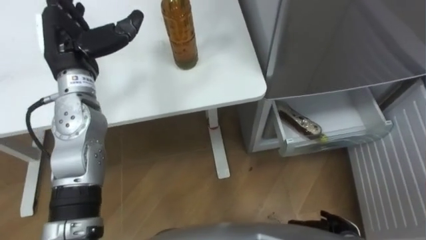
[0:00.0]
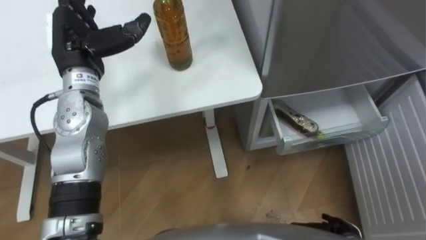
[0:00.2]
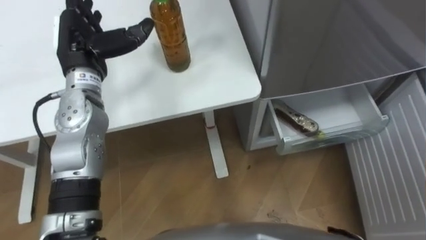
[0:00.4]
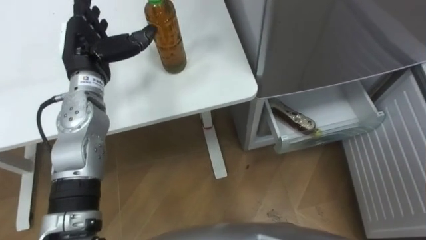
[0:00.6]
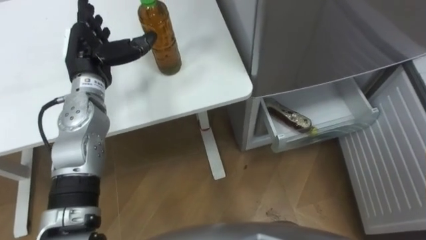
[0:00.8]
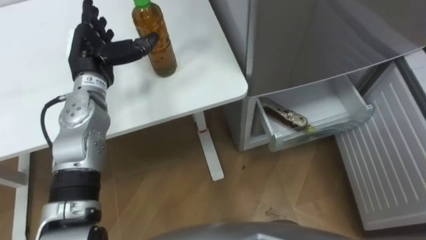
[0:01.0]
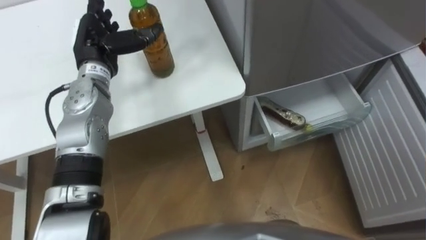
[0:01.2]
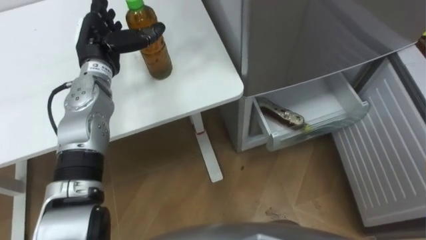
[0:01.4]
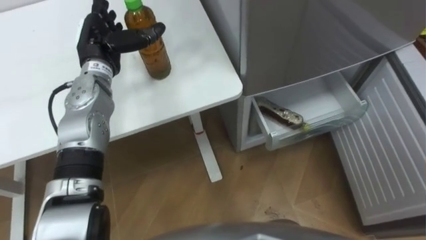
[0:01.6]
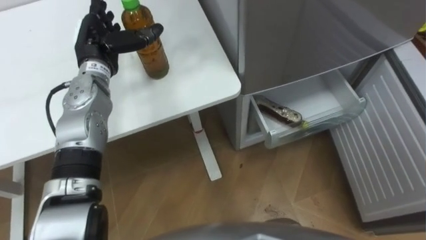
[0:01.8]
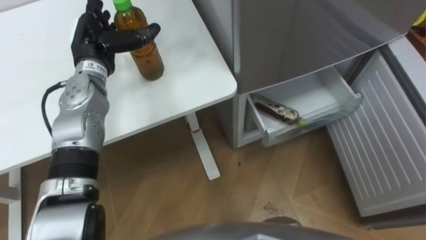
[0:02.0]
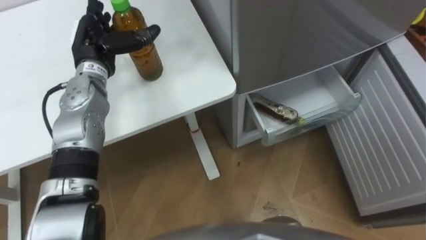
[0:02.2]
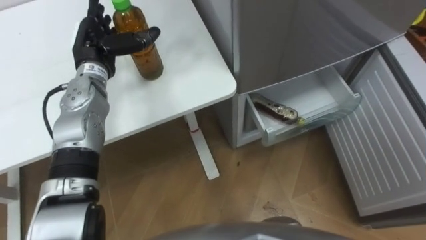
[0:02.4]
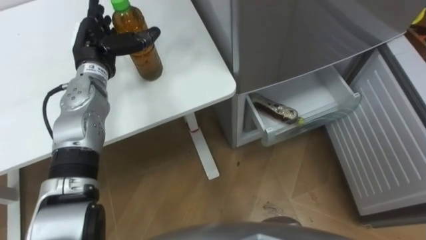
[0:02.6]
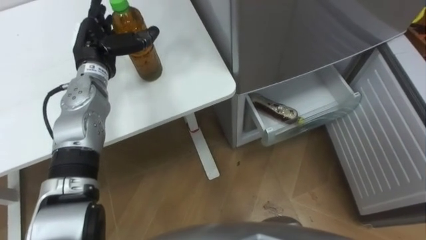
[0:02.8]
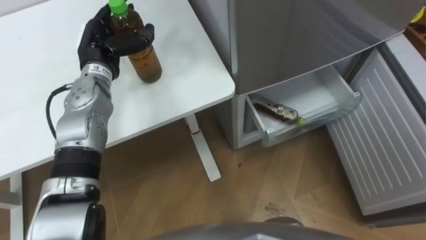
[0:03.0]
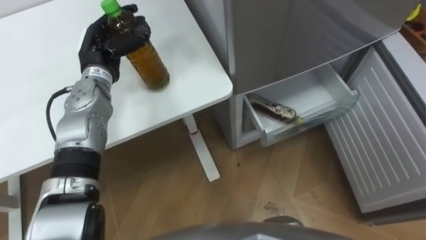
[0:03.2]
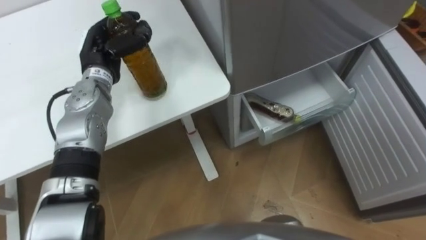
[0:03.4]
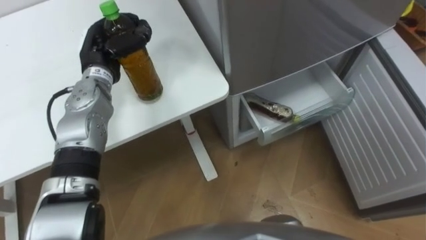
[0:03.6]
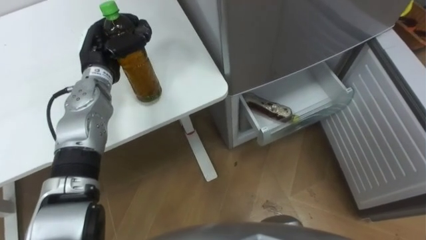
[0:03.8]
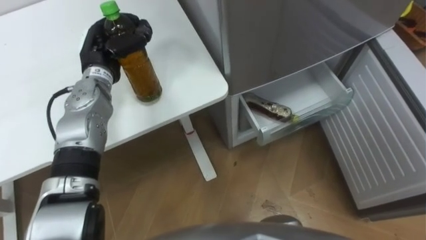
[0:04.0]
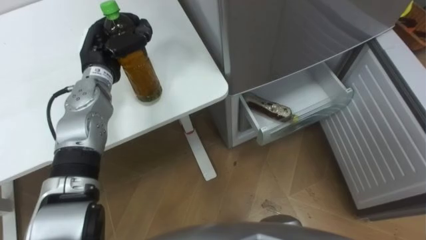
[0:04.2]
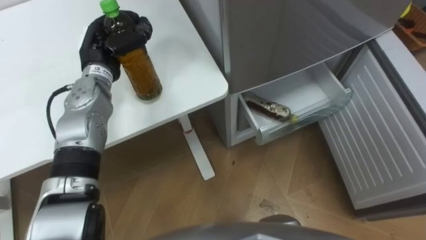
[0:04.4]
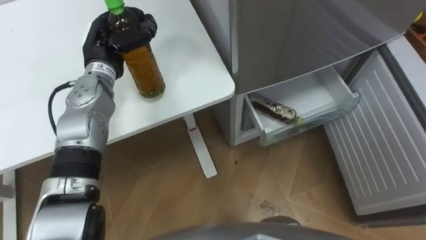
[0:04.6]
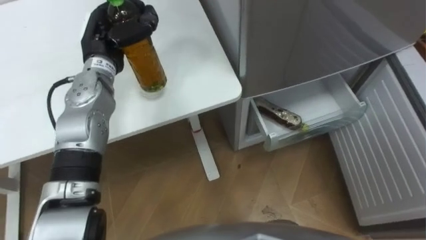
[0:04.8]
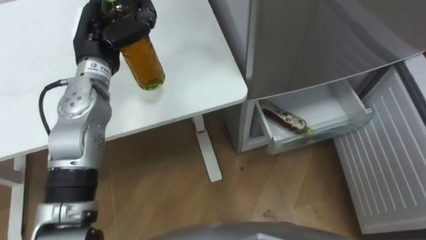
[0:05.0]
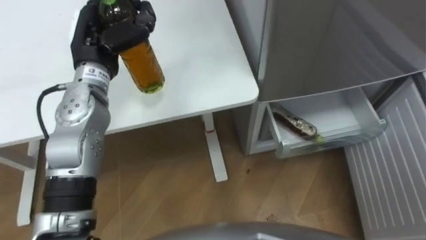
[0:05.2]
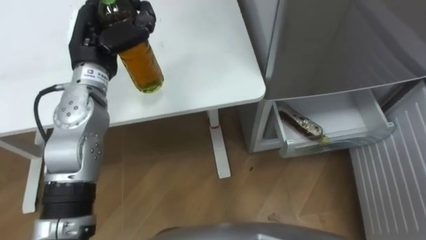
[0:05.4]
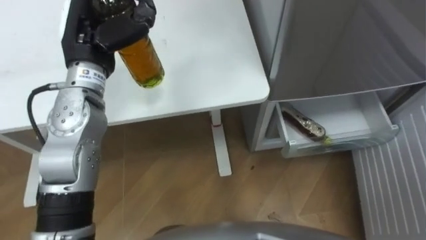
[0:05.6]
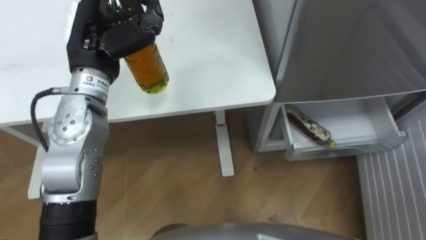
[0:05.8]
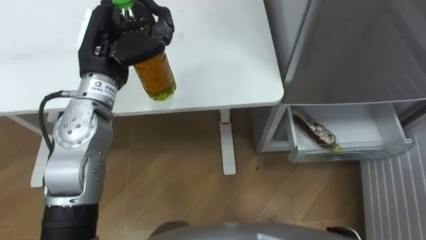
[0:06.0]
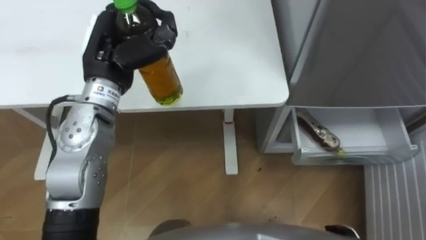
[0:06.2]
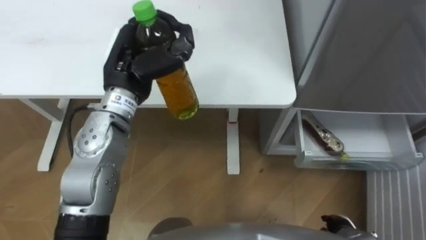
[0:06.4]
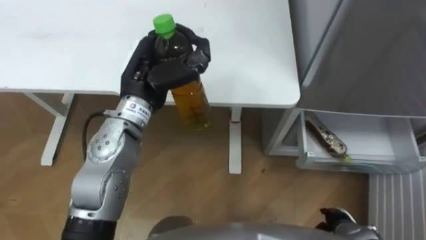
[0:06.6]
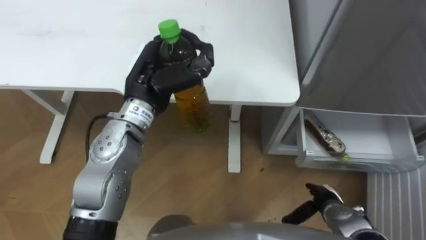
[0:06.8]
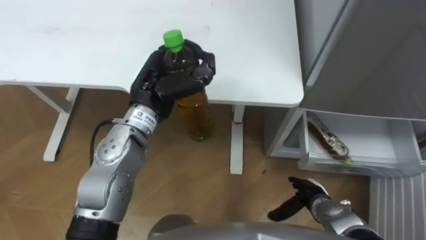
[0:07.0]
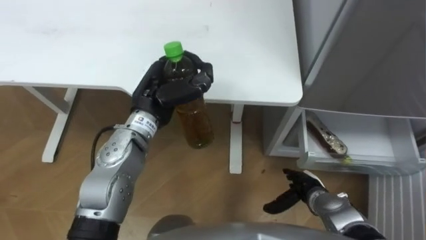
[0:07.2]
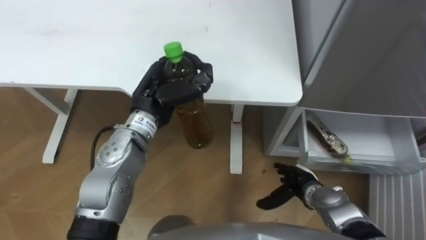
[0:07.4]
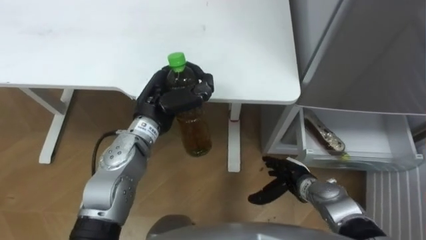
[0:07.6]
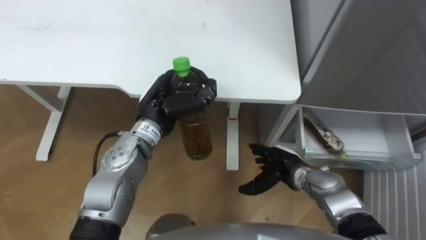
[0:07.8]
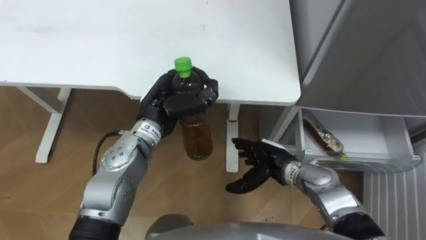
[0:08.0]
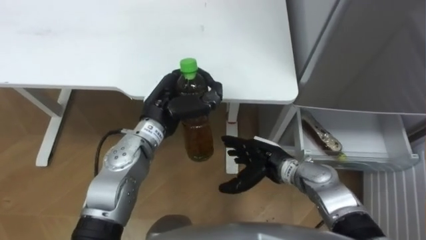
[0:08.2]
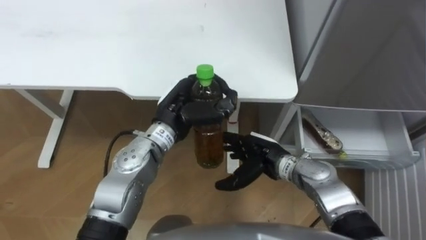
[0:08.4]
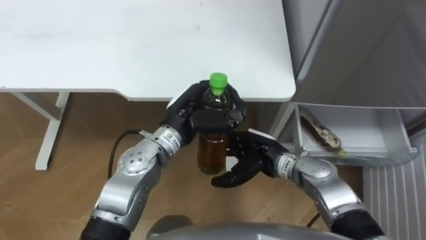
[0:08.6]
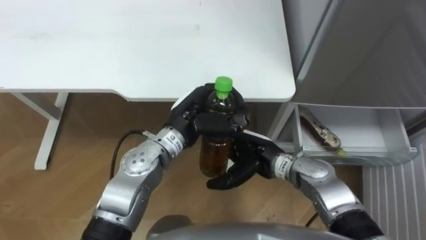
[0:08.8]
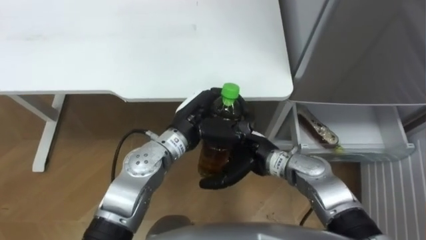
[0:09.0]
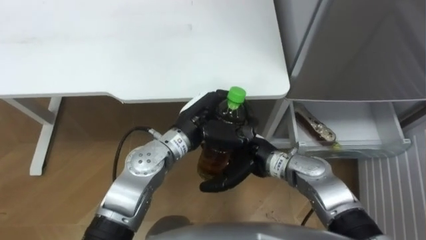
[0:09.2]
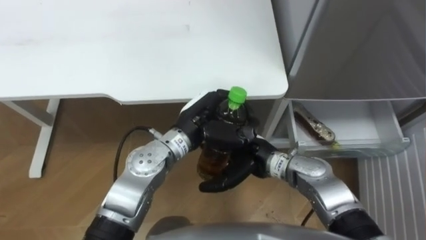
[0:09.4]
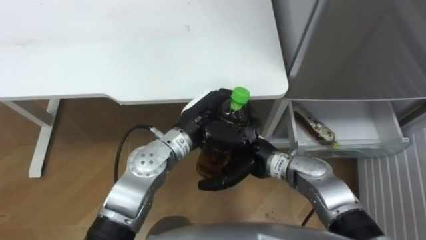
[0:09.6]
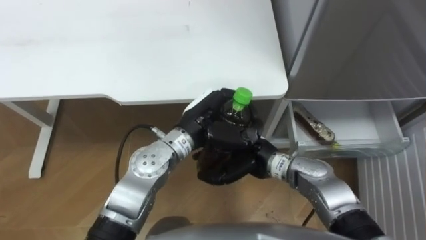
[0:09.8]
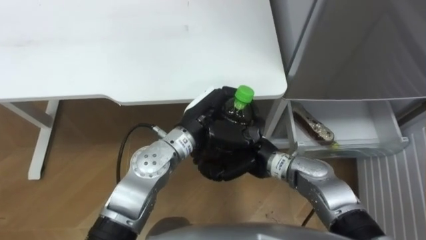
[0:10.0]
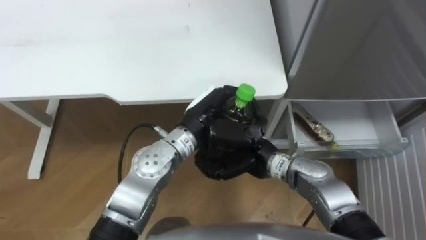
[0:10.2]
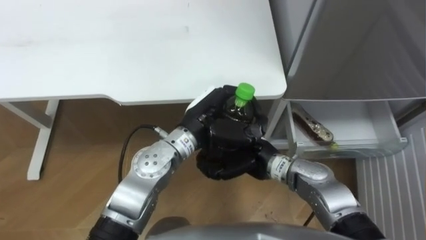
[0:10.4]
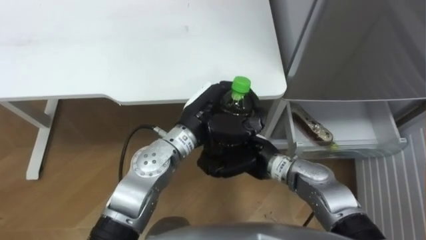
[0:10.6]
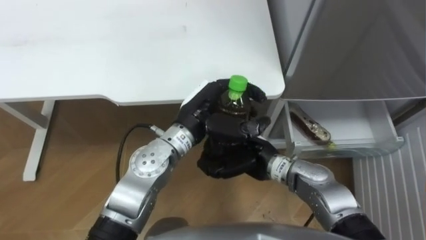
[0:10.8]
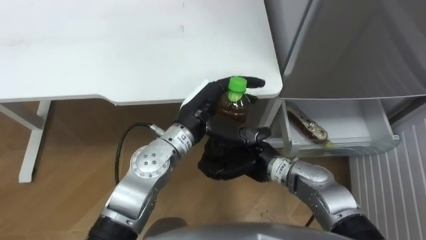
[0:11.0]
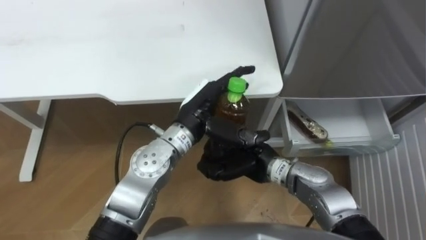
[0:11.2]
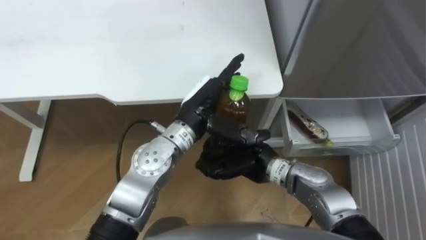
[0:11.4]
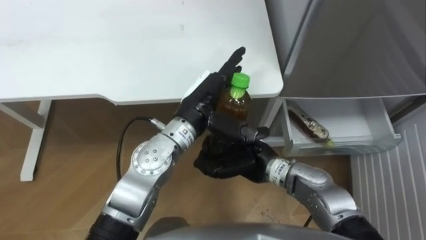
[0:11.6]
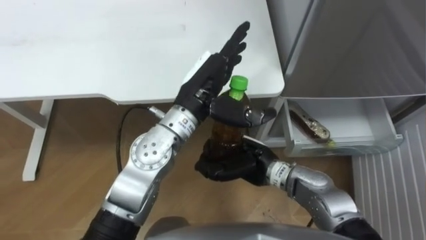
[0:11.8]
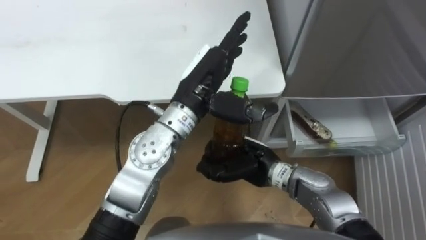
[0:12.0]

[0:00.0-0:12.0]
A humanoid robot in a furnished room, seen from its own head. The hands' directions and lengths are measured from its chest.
Task of the whole recording: Place the drink on the table on the bottom shelf of the refrigerator, then close the drawer and the refrigerator door.
0.0 to 1.6 s: The left hand moves roughly 5 cm.
3.0 to 4.4 s: The left hand closes its fingers.
4.4 to 6.0 s: The left hand moves upward and backward, some 10 cm.
6.0 to 7.6 s: The left hand travels downward and to the right by some 10 cm.
7.6 to 9.0 s: The left hand goes about 5 cm to the right; the right hand is displaced to the left and upward by roughly 15 cm.
9.0 to 10.4 s: The right hand closes.
10.4 to 12.0 s: The left hand moves upward, about 5 cm, and opens up.

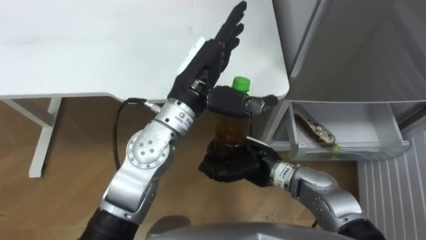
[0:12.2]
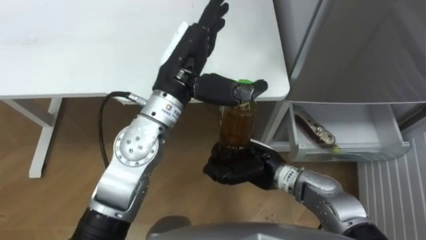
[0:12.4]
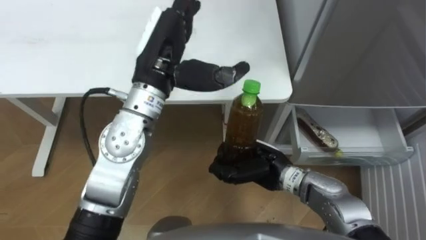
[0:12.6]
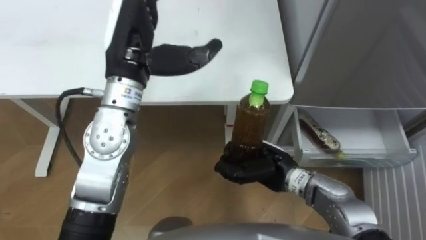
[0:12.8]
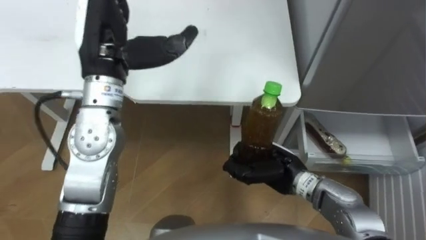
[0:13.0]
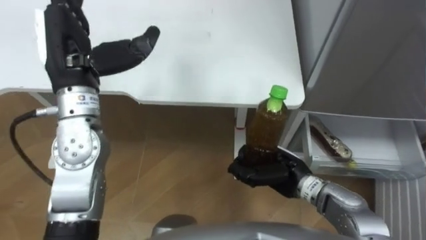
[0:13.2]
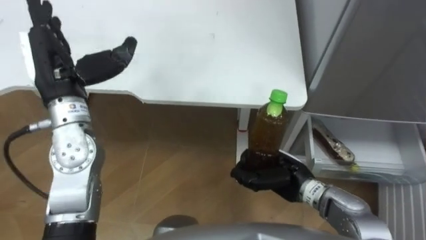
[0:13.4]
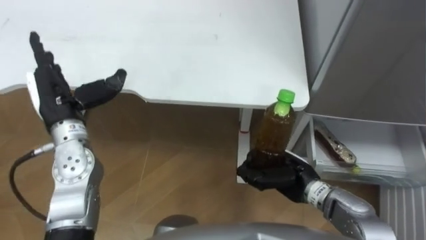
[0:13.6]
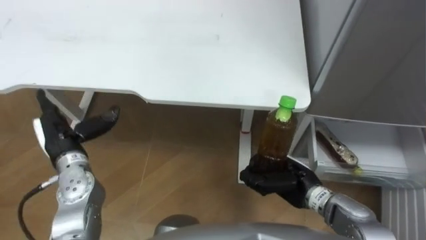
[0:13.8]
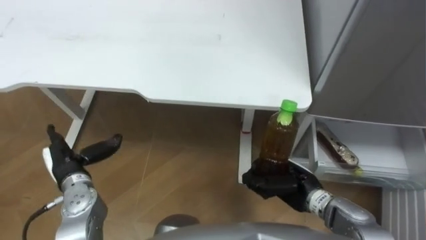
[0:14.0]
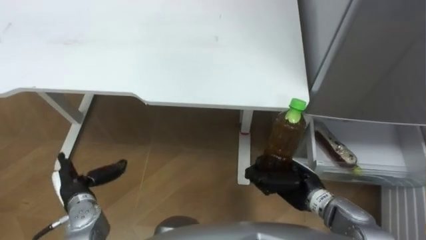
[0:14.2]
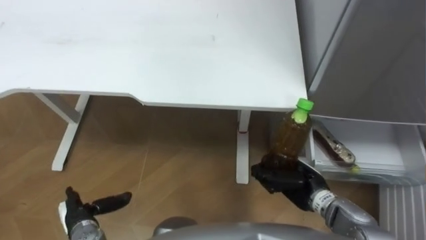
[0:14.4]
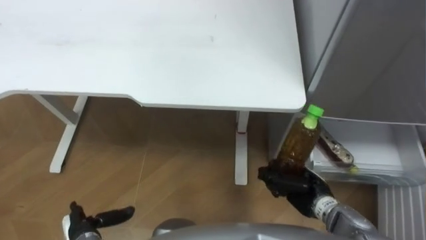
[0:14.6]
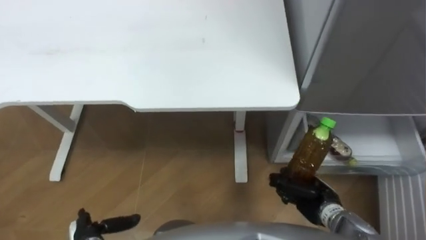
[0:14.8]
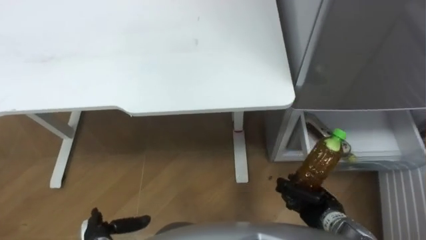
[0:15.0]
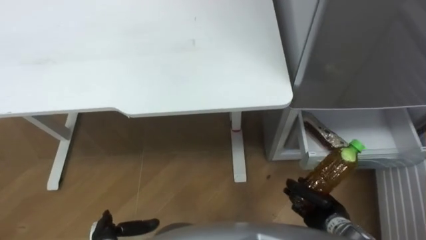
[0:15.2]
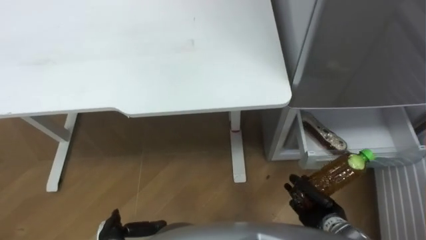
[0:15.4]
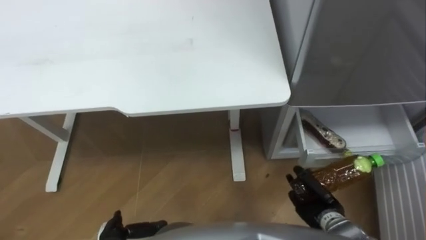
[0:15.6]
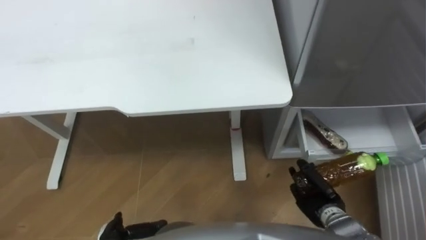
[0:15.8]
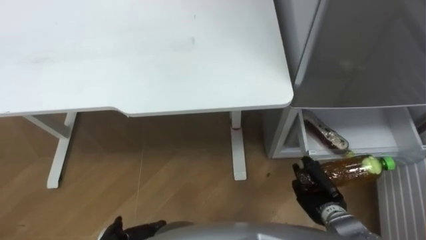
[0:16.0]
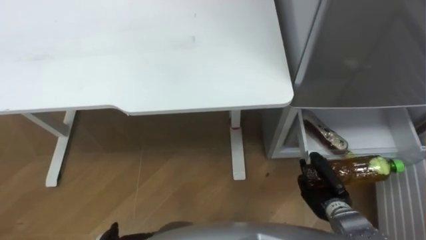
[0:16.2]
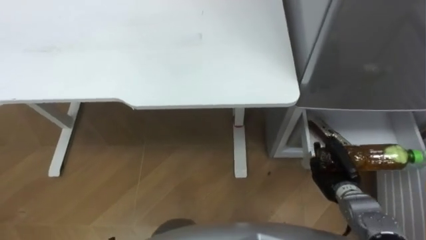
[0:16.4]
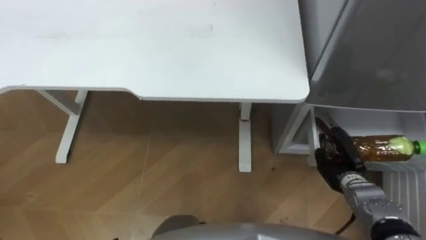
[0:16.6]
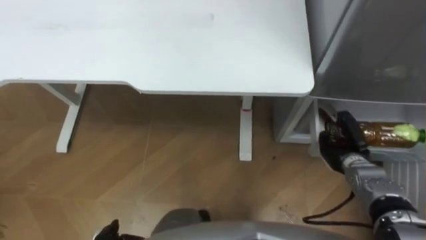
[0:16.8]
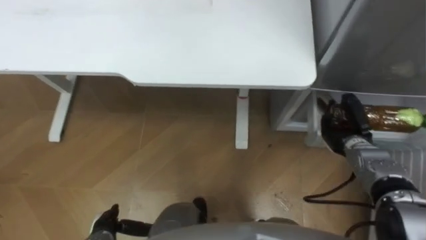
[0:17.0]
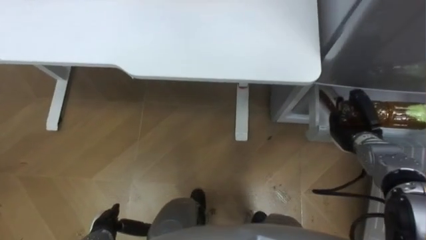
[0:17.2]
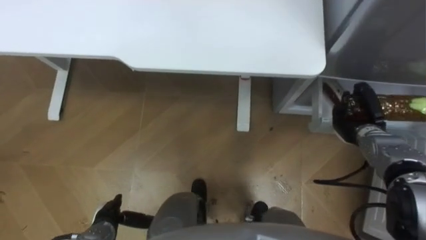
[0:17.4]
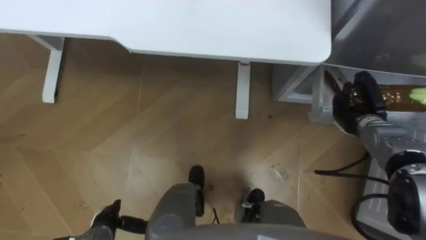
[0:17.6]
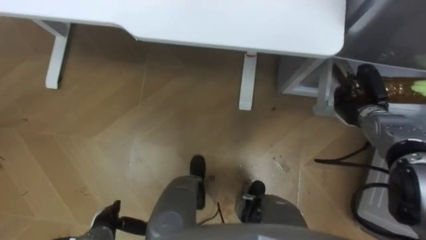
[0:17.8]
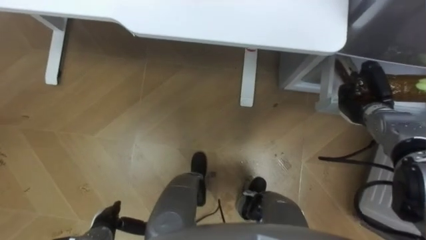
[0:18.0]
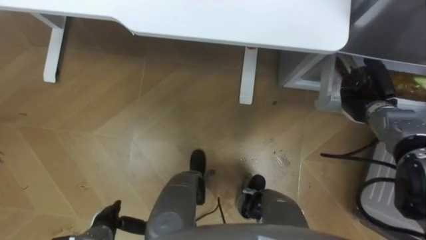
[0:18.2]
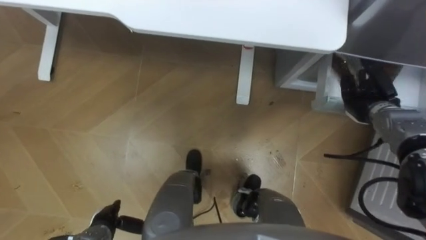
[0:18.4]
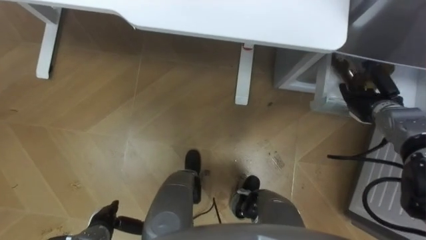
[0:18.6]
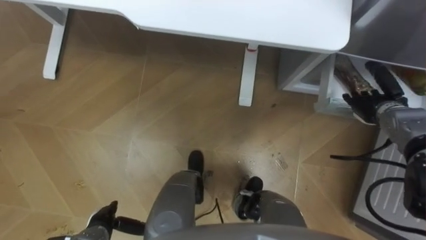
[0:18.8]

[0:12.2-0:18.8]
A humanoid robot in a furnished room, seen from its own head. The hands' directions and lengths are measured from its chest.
Task of the whole recording: Place the drink on the table on the bottom shelf of the refrigerator, then close the drawer and the refrigerator door.
12.2 to 13.8 s: The right hand goes roughly 10 cm to the right. The left hand moves to the left and downward, roughly 30 cm.
13.8 to 15.4 s: The left hand goes roughly 25 cm downward and backward. Meanwhile the right hand heads to the right, downward and backward, covering some 15 cm.
15.4 to 17.2 s: The right hand moves forward, to the right and upward, roughly 20 cm.
17.2 to 18.8 s: The right hand moves roughly 10 cm, and opens.
